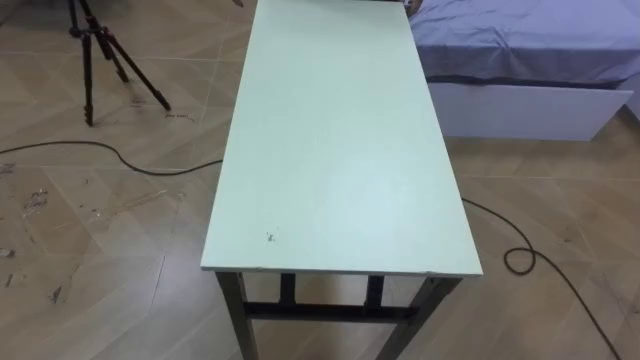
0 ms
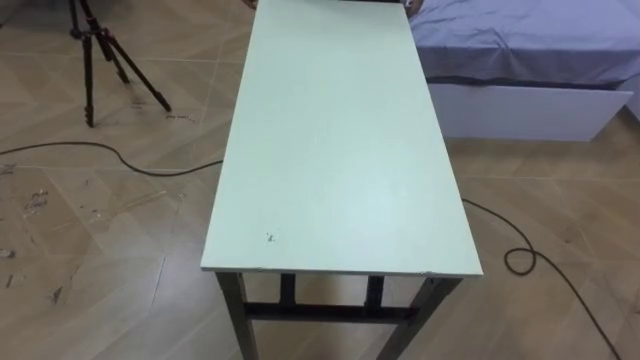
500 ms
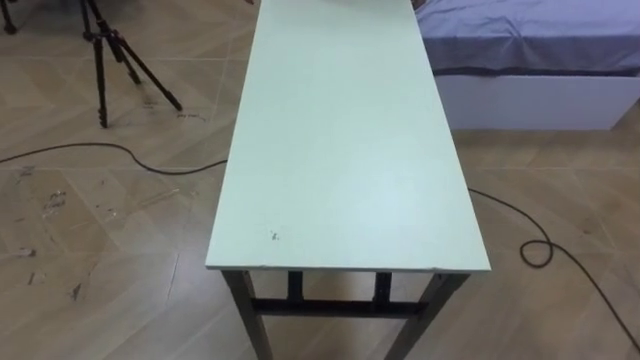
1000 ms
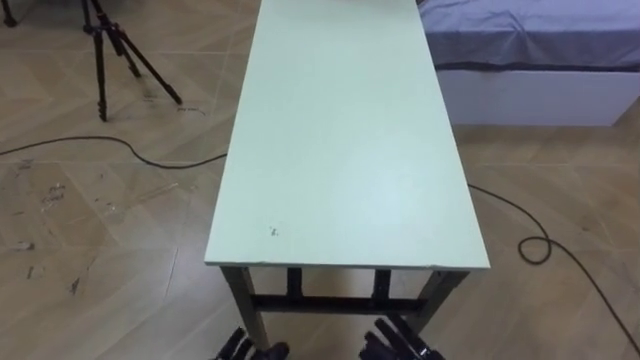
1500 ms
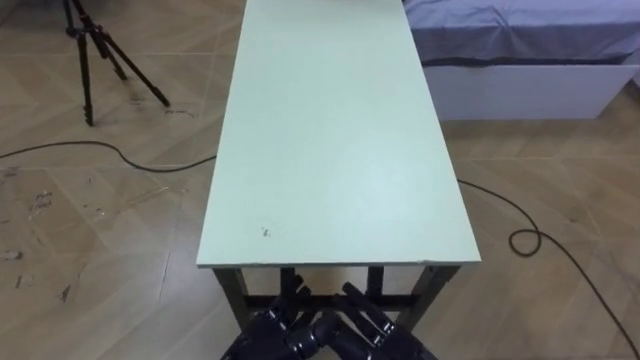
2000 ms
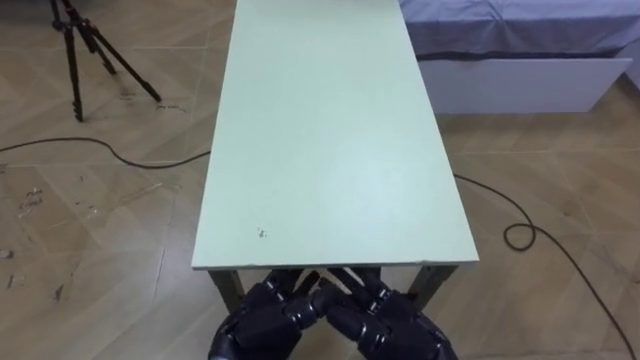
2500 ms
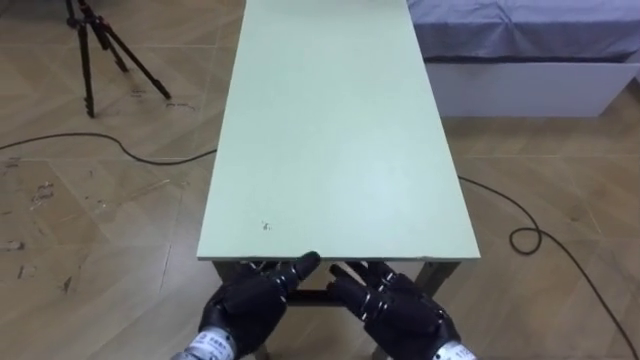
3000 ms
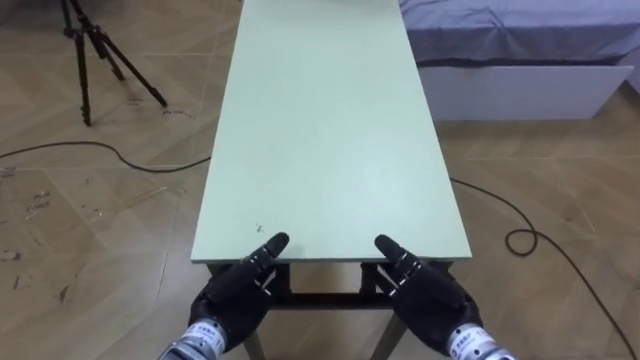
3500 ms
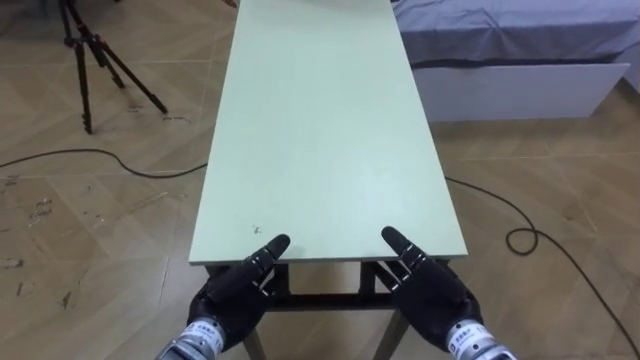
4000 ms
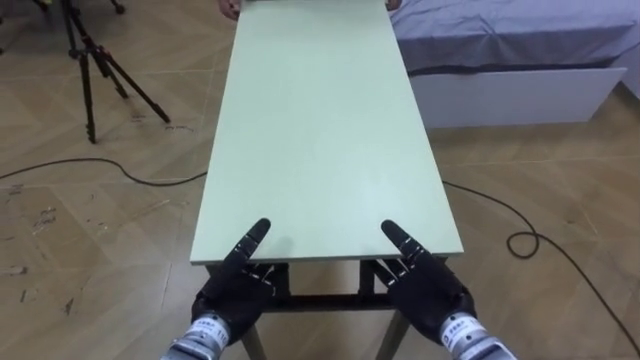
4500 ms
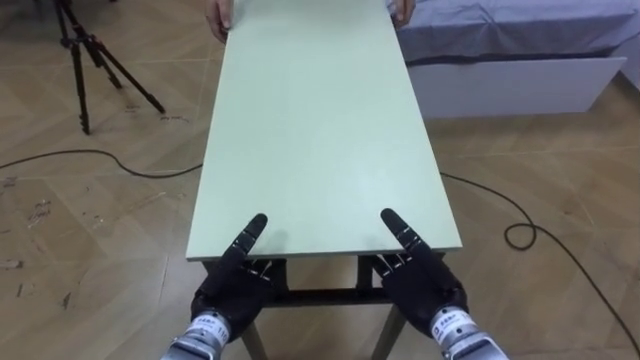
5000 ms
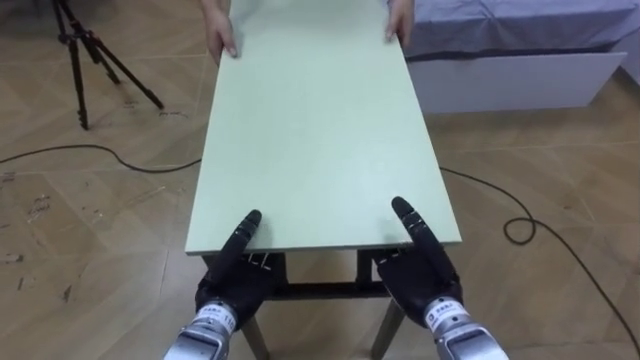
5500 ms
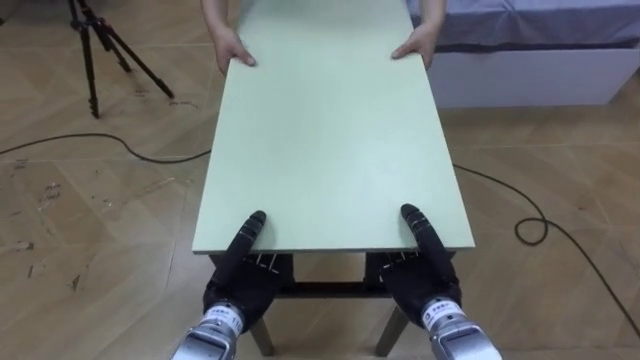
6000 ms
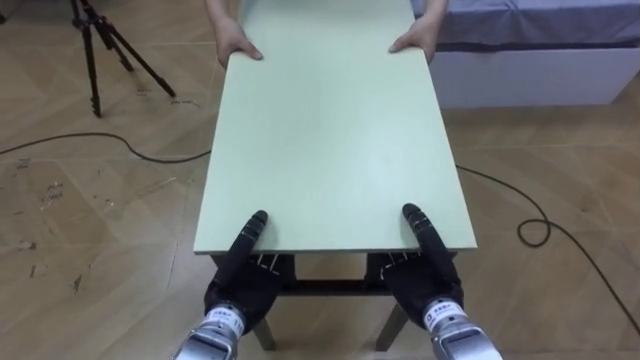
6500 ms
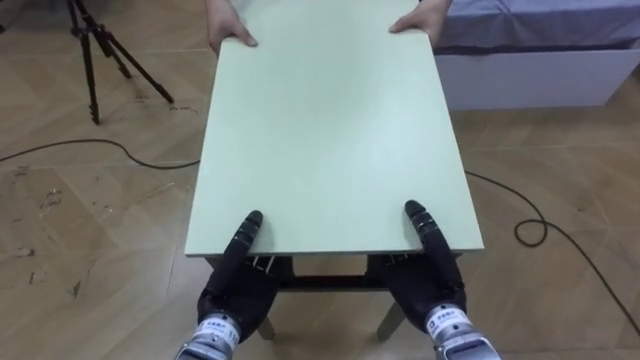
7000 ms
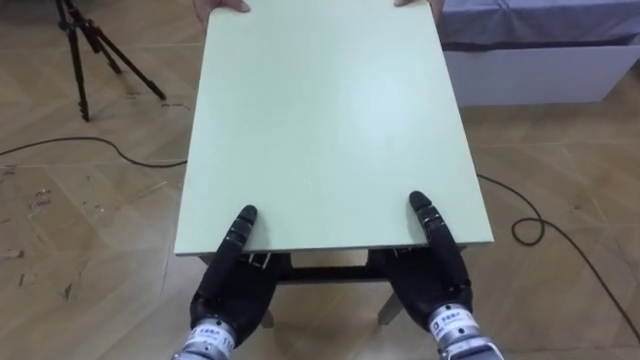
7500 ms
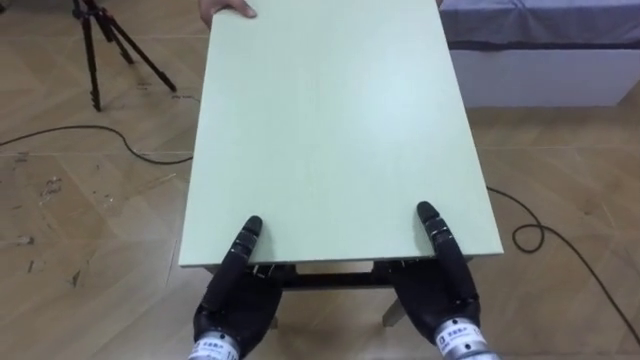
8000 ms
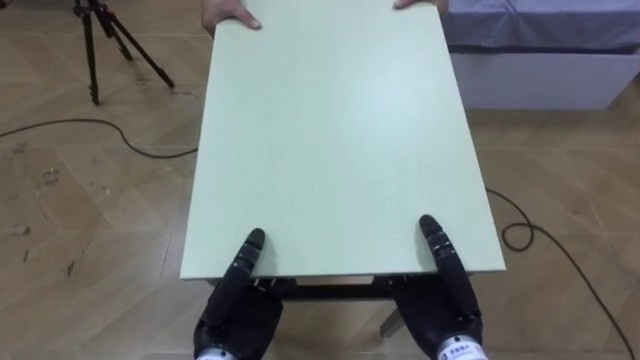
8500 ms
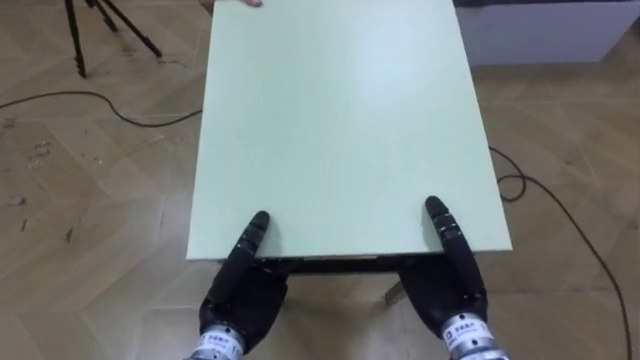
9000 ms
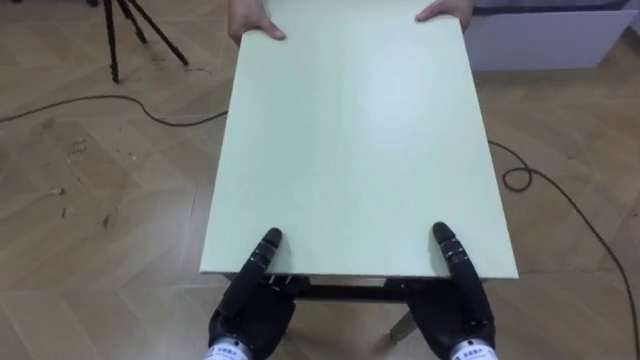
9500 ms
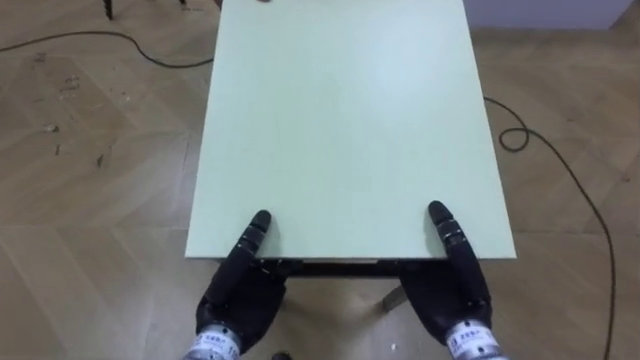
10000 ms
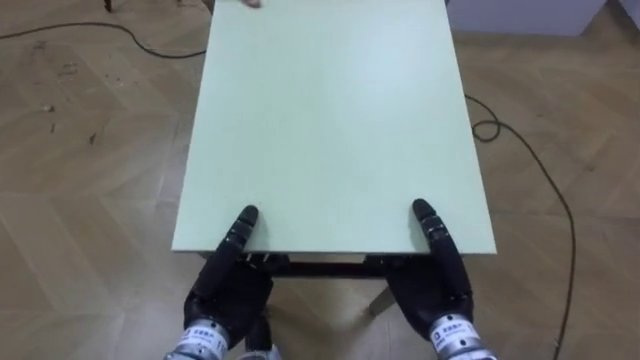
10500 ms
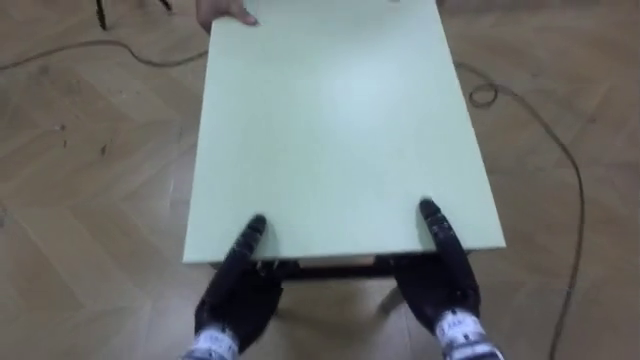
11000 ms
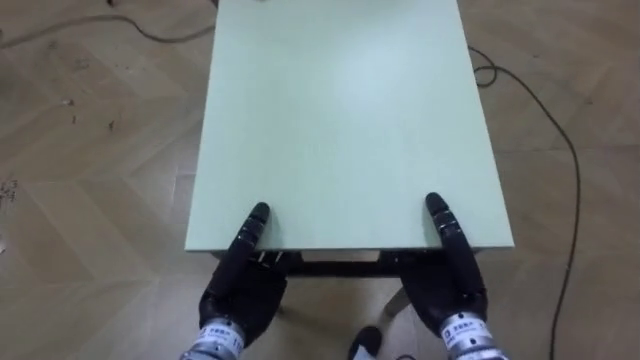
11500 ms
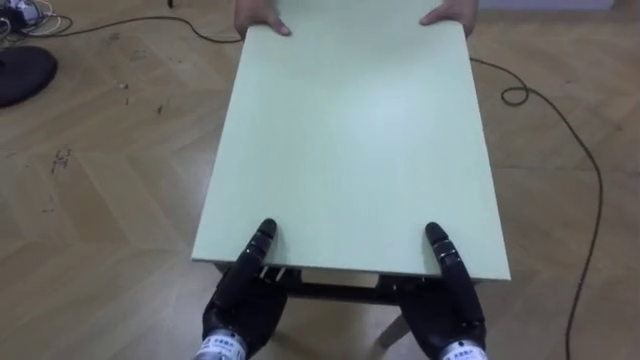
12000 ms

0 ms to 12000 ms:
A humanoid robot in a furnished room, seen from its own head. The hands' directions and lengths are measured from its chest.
Task of the whole recording: Move the table to the back left with someone.
2000 ms to 4000 ms: The left hand shifts some 10 cm forward.
4000 ms to 6000 ms: The right hand closes, while the left hand closes its fingers.
6000 ms to 8000 ms: The left hand moves approximately 5 cm.

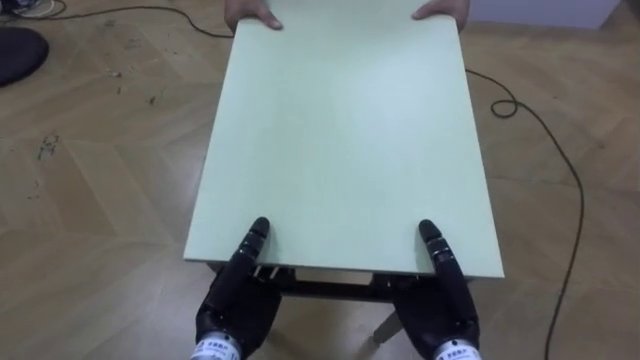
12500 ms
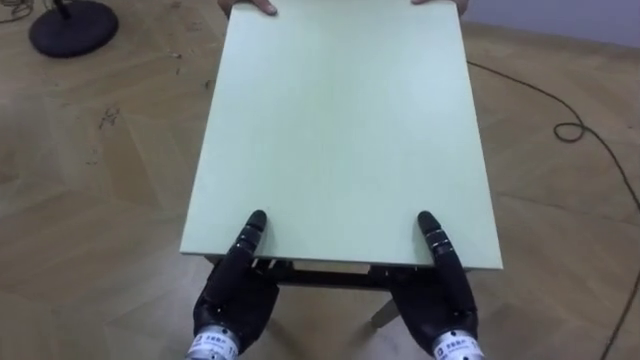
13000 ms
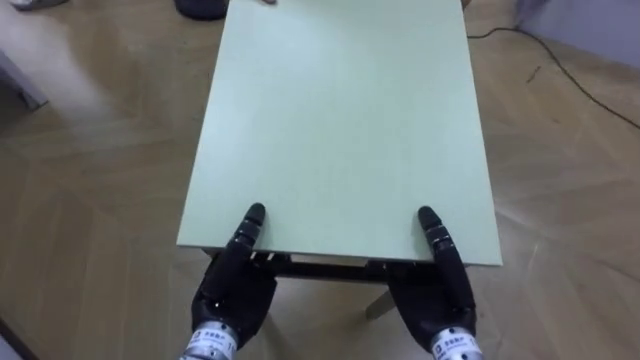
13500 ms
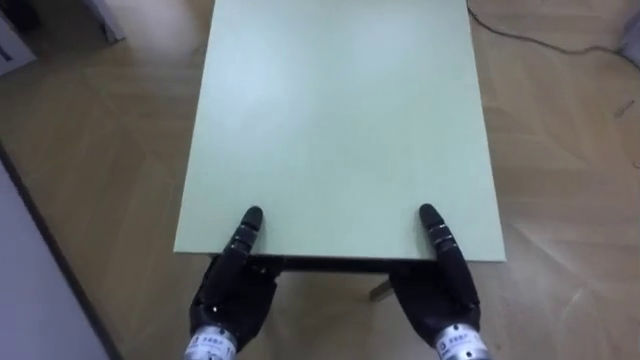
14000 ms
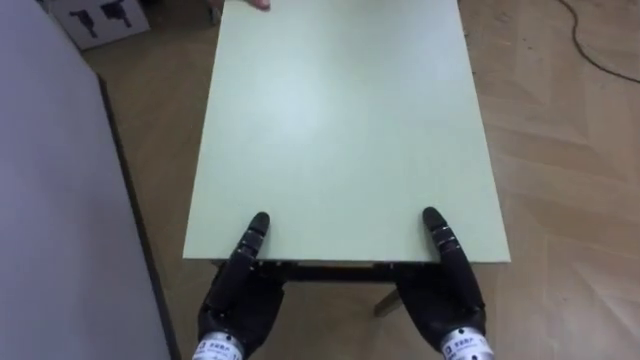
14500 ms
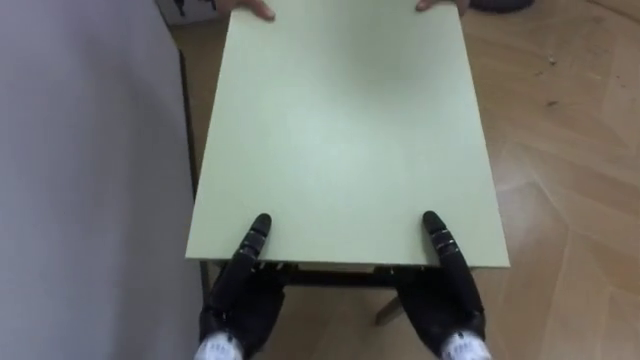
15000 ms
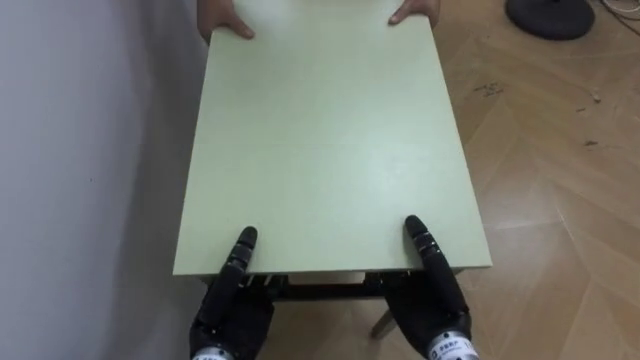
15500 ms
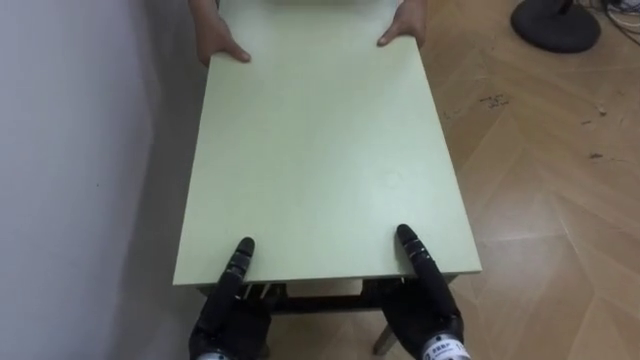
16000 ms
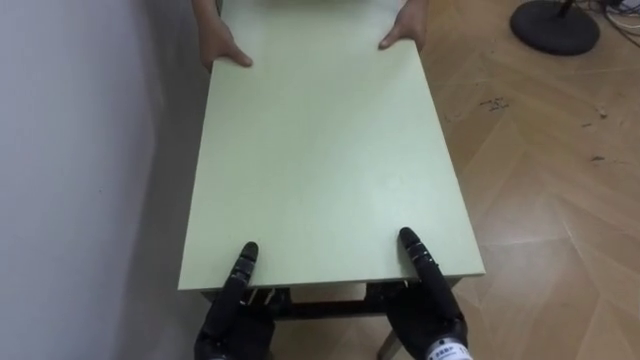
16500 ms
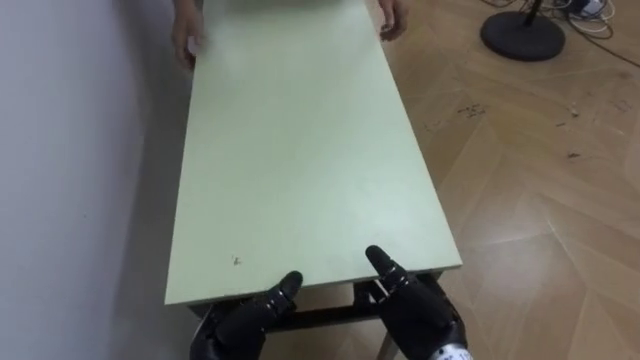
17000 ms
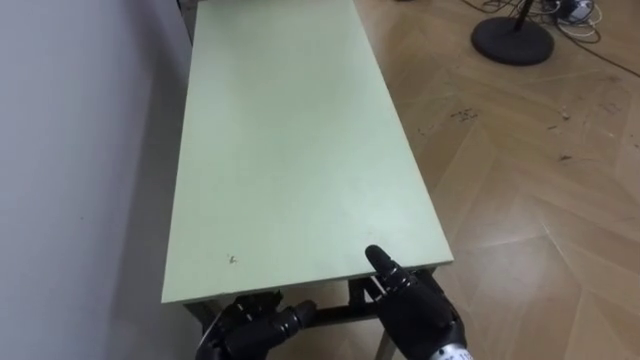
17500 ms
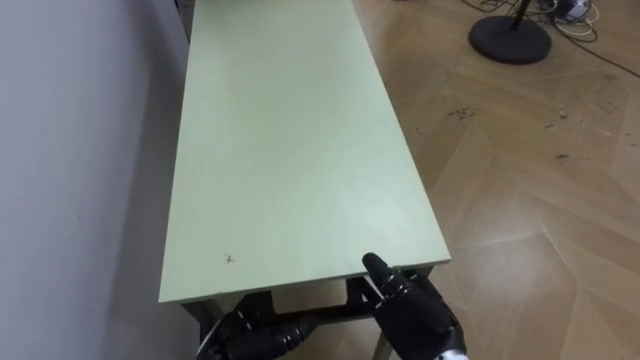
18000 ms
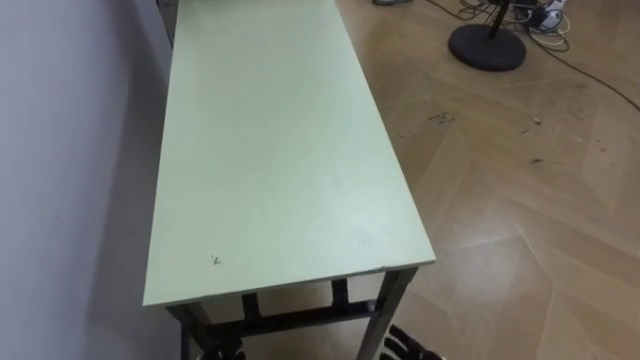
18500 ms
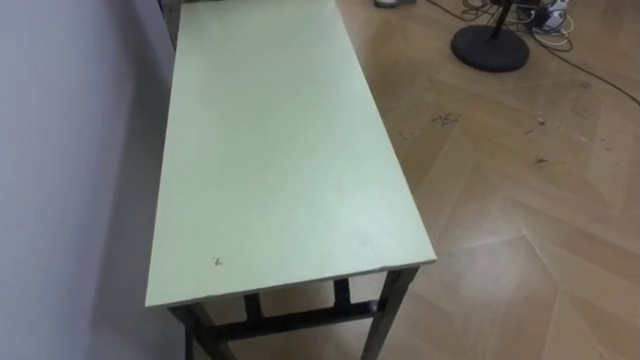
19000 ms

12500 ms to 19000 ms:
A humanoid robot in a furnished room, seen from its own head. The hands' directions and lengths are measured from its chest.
Task of the whole recording: Move the table to the back left with someone.
12500 ms to 14500 ms: The robot turns to its left by some 60 degrees.
14500 ms to 17000 ms: The robot turns to its left by roughly 15 degrees. The right hand opens; the left hand travels downward by approximately 5 cm.

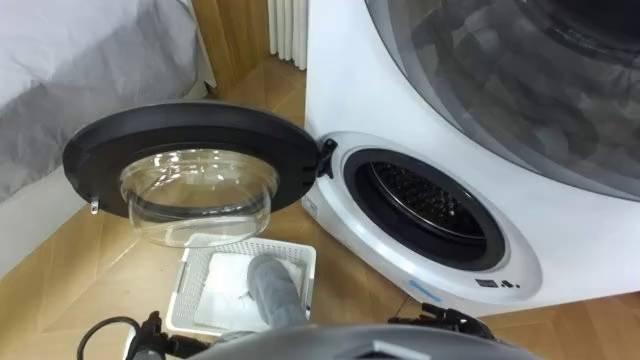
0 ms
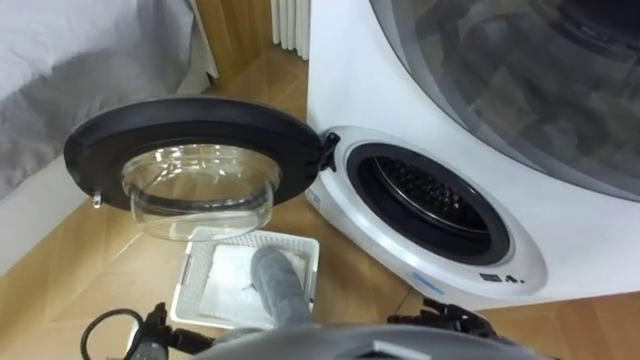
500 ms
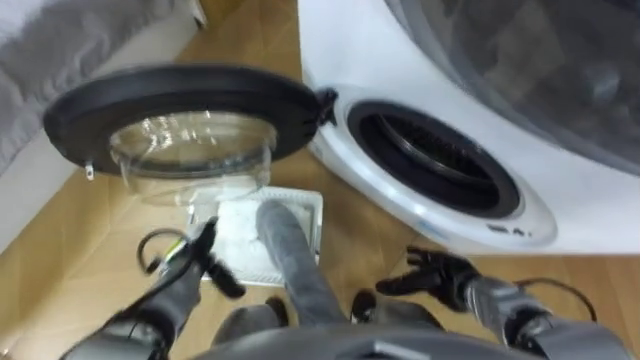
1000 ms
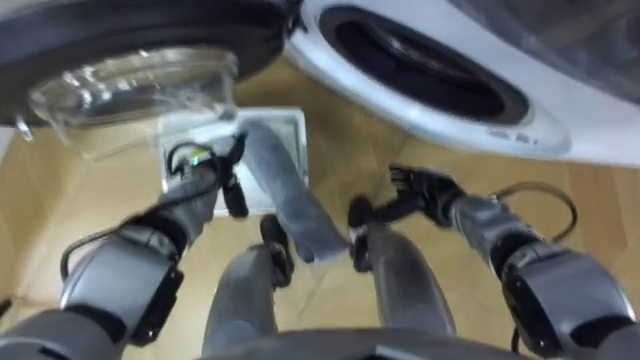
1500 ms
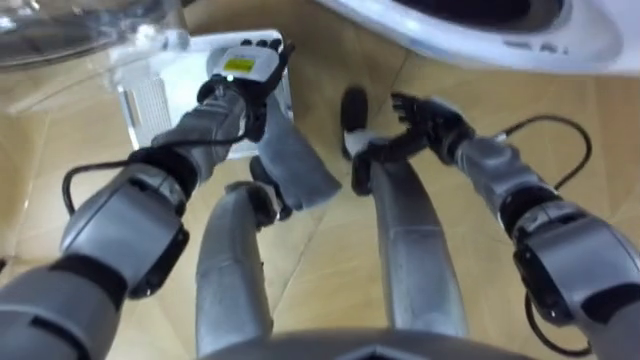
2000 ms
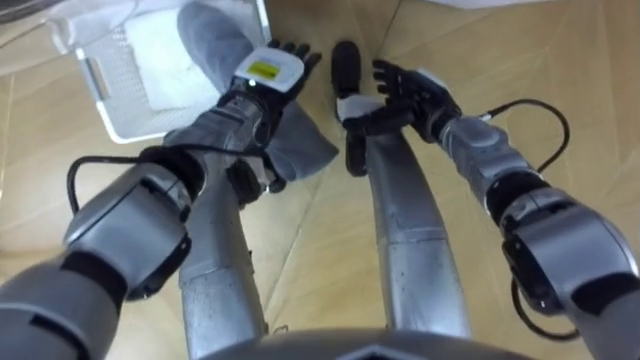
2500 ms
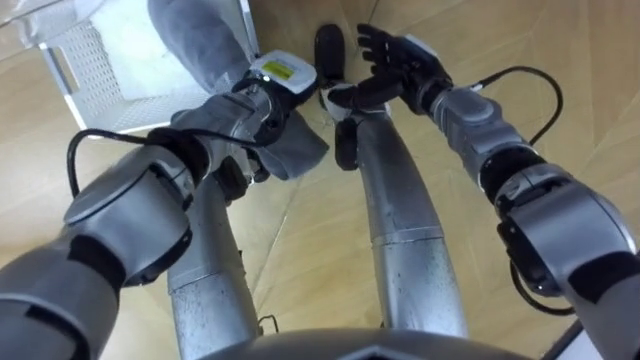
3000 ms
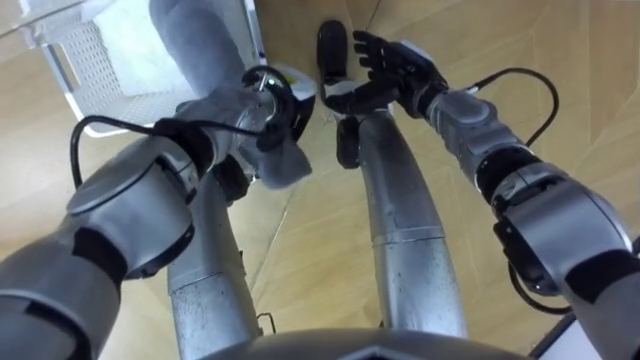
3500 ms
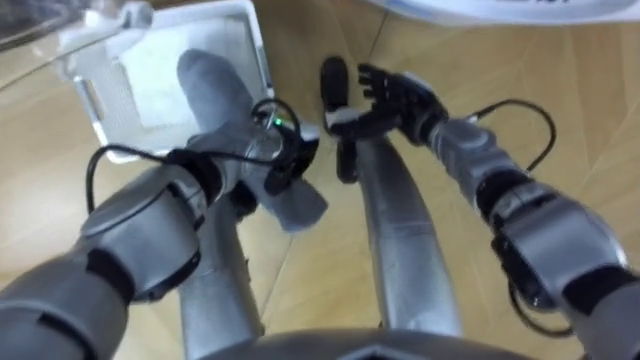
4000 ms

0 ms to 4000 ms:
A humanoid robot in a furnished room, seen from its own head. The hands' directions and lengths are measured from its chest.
Task of the whole recording: Take the towel from the basket and put it into the washing machine.
2000 ms to 4000 ms: The right hand shifts approximately 5 cm to the left. The left hand goes approximately 10 cm backward, to the right and downward, and closes up.
